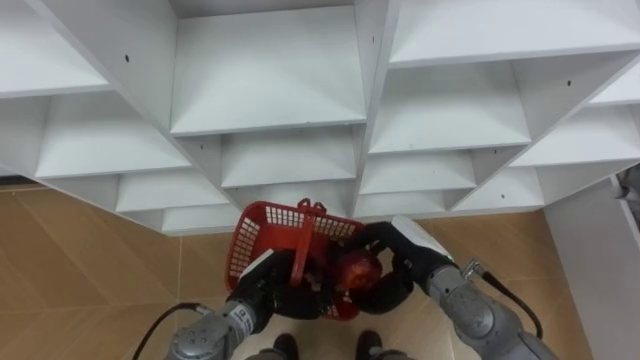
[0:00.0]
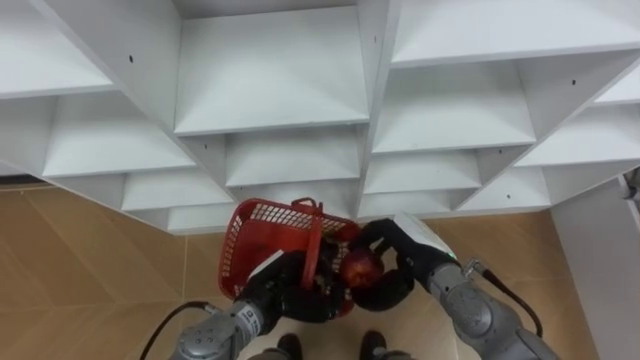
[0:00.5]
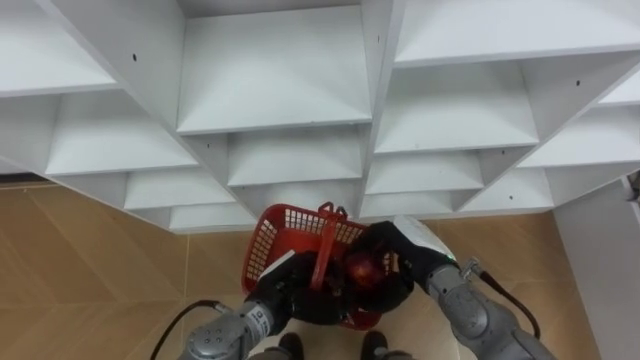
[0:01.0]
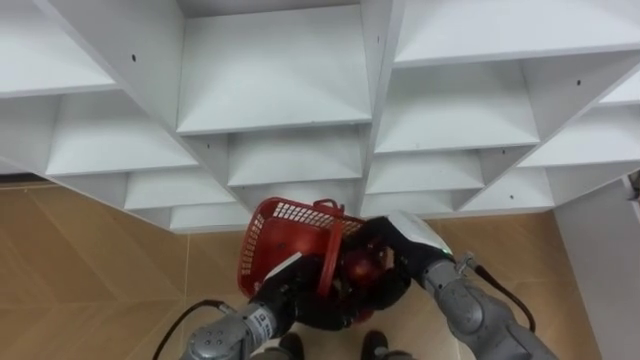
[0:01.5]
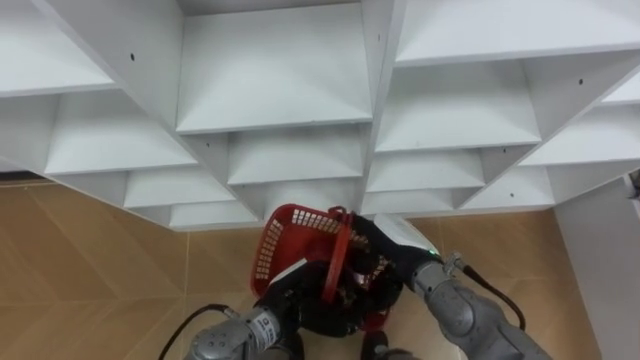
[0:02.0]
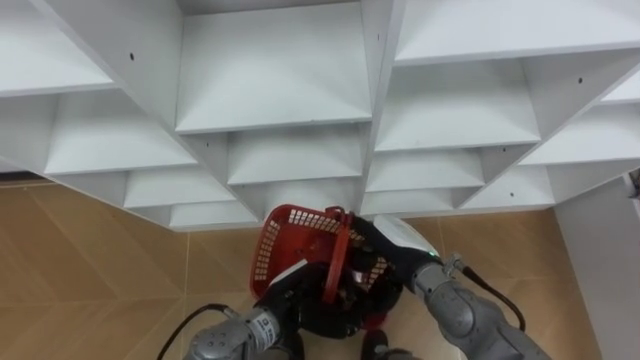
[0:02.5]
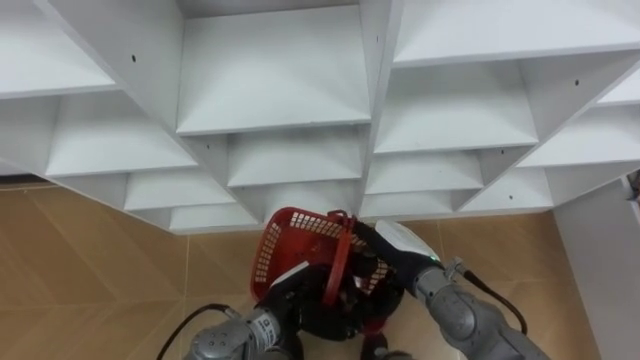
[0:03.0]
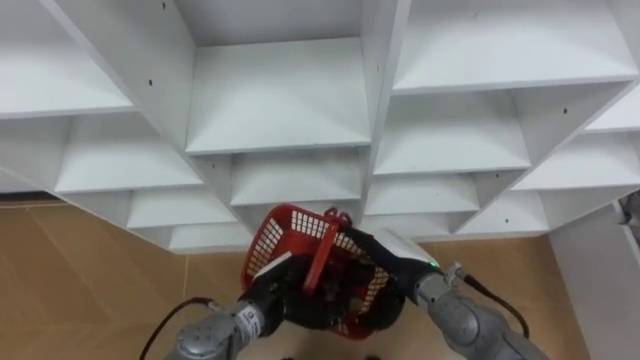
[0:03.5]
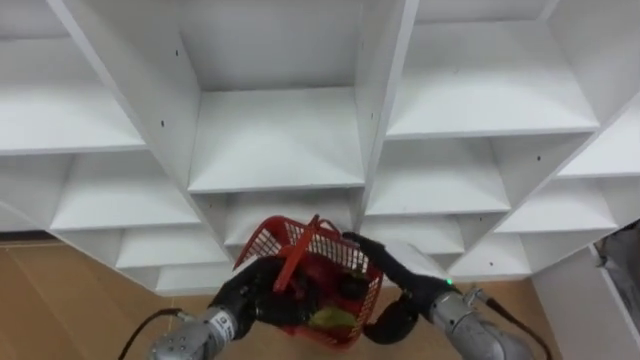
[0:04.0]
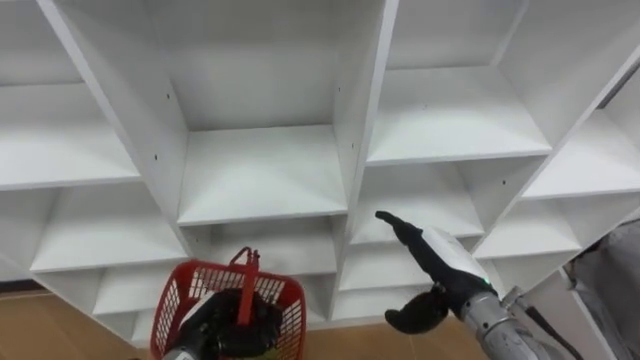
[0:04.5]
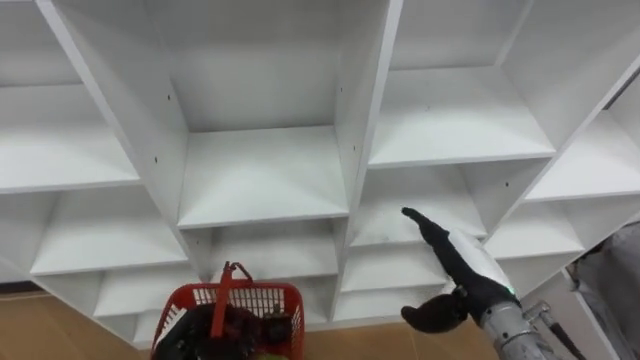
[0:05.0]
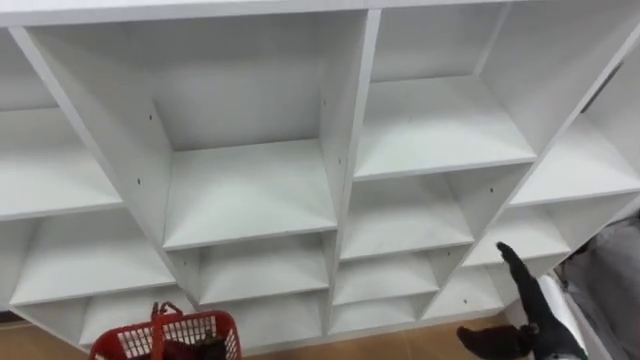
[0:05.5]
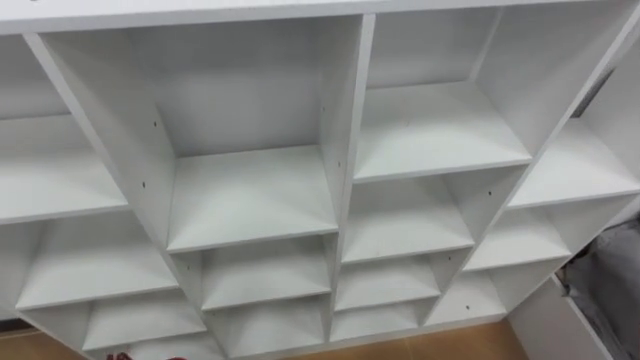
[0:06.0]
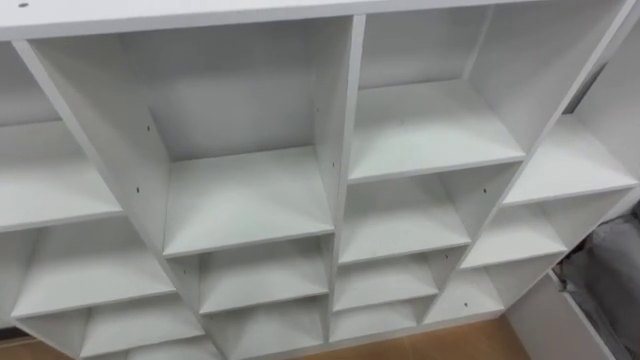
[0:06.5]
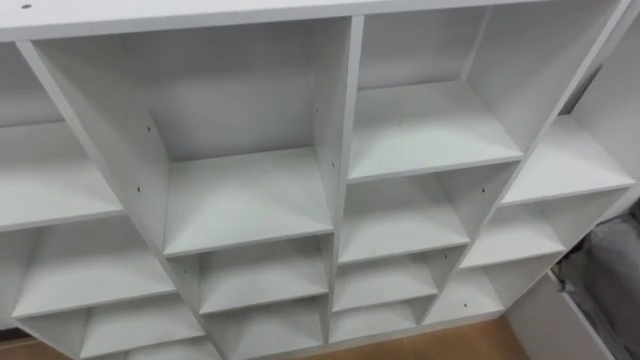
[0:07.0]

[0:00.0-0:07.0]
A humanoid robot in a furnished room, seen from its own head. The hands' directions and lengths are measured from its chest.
Task of the whole recording: Hold the basket and collect the fruits from 3 different cells of the closet into it.
0:00.0 to 0:02.0: The right hand opens its fingers. The left hand changes place by approximately 5 cm.
0:03.5 to 0:05.0: The right hand is displaced to the right by roughly 10 cm, while the left hand moves to the left and backward, roughly 15 cm.

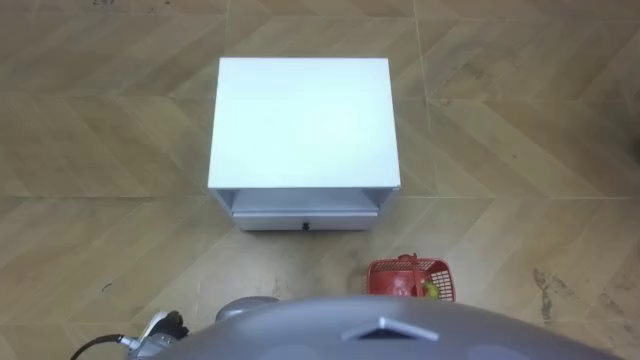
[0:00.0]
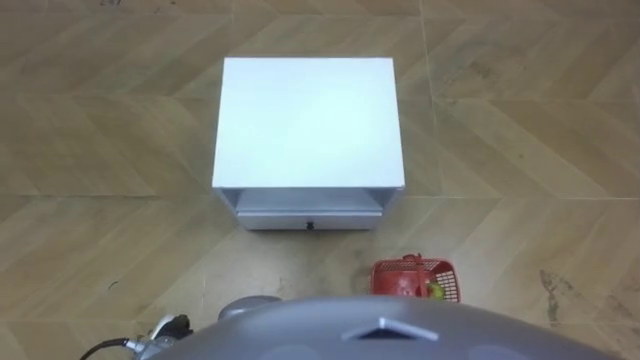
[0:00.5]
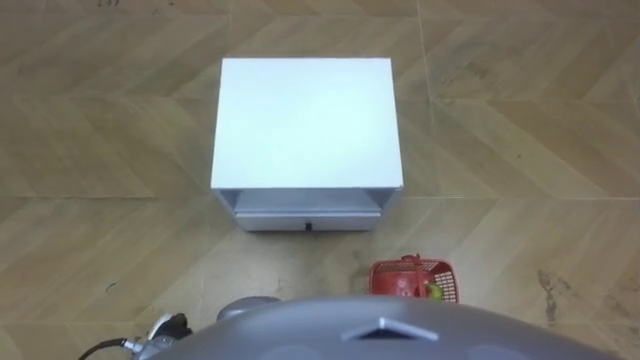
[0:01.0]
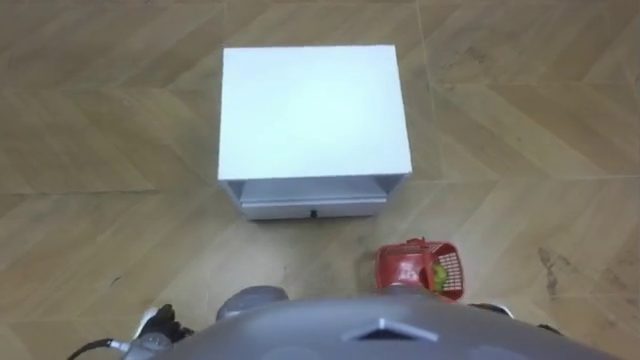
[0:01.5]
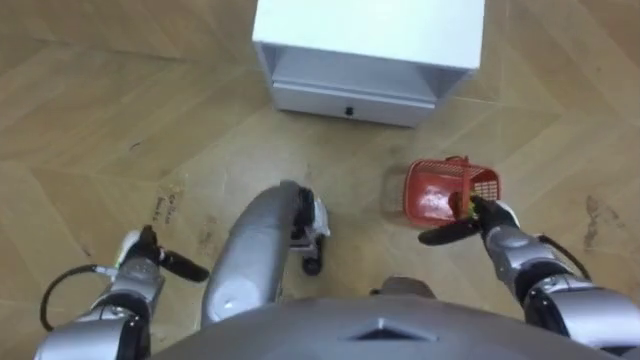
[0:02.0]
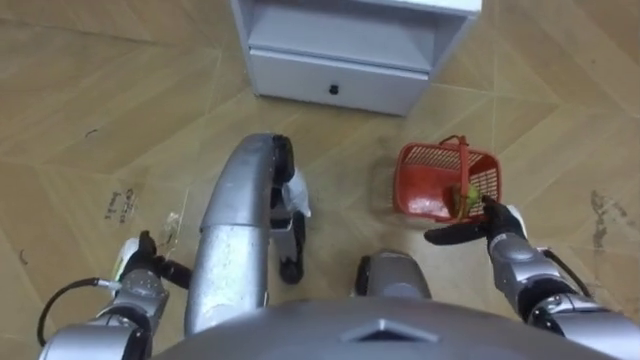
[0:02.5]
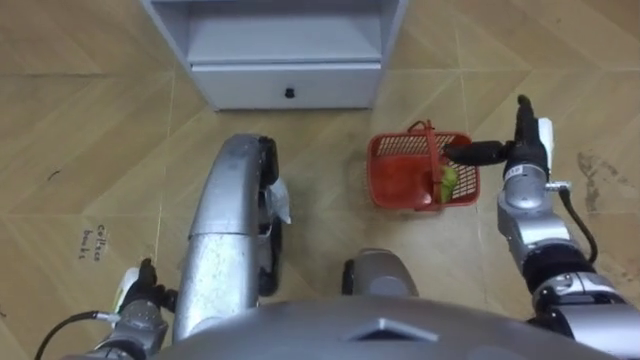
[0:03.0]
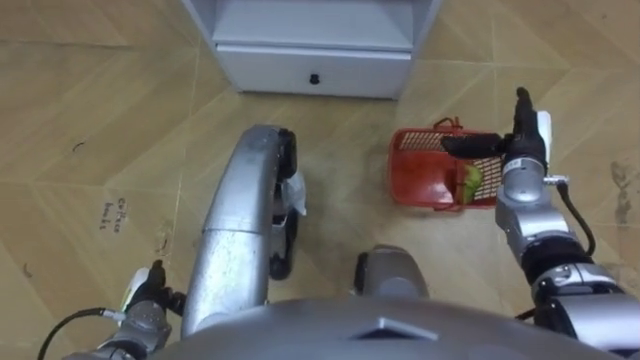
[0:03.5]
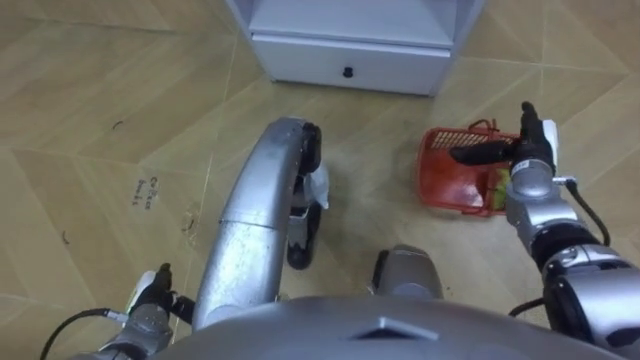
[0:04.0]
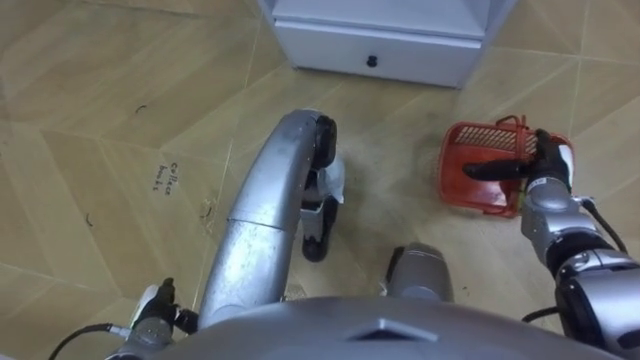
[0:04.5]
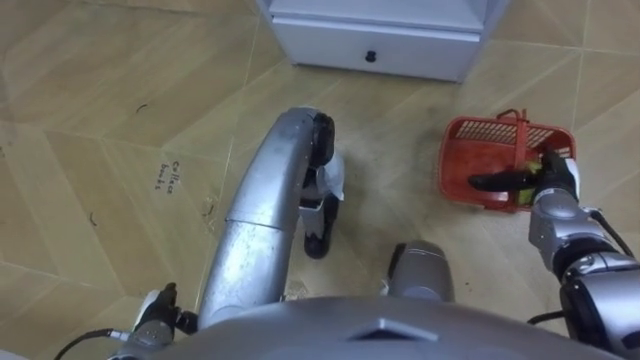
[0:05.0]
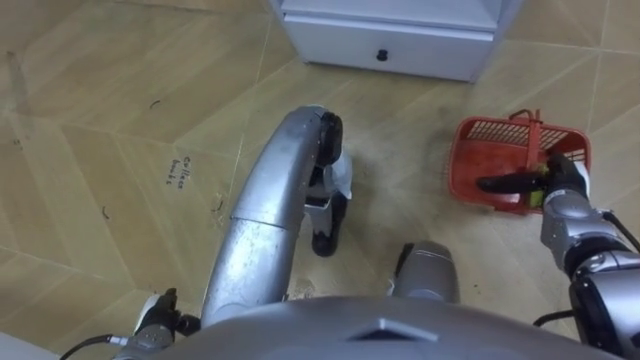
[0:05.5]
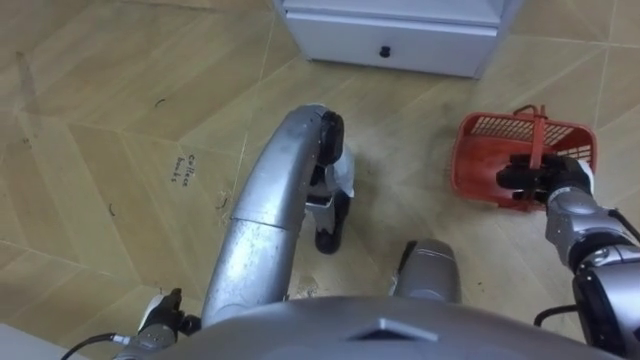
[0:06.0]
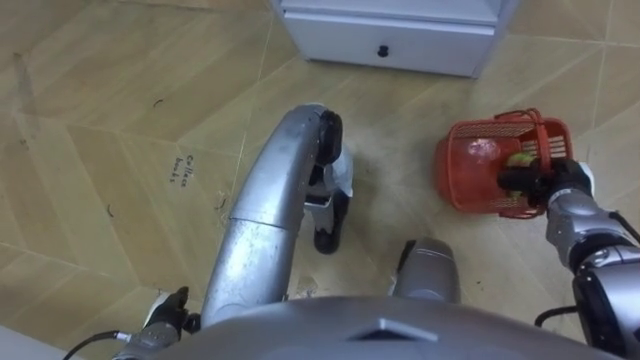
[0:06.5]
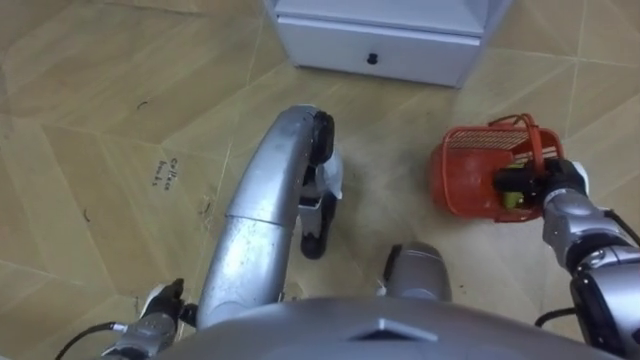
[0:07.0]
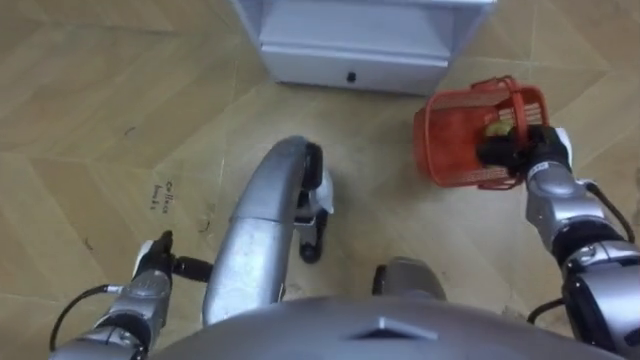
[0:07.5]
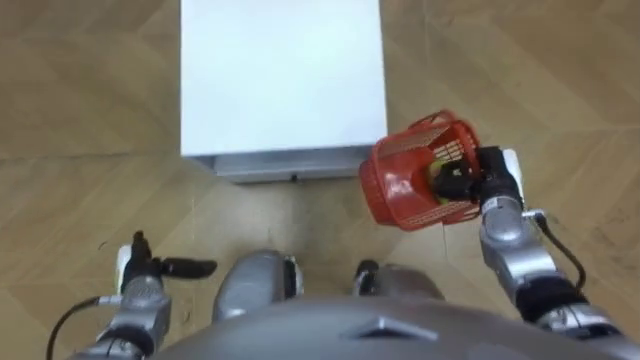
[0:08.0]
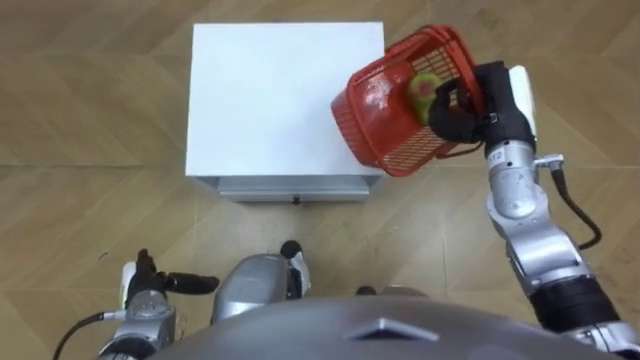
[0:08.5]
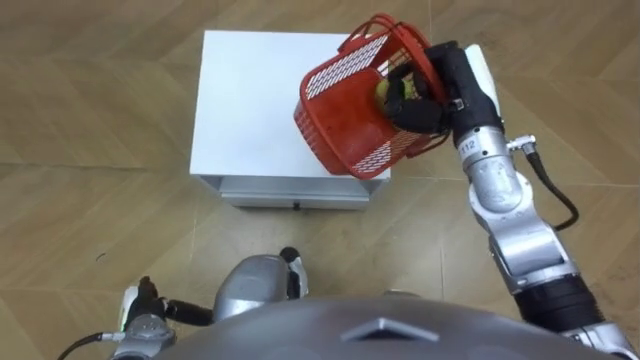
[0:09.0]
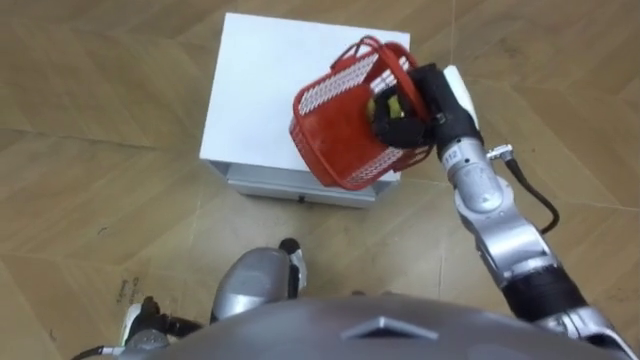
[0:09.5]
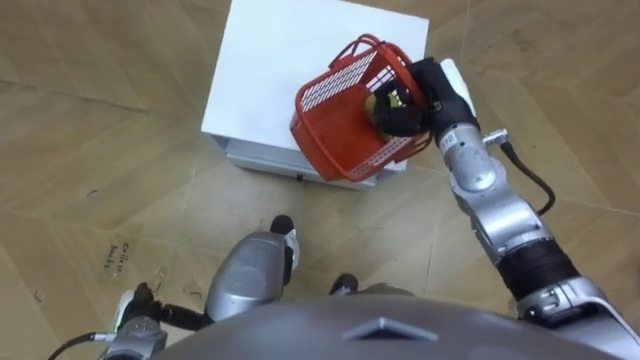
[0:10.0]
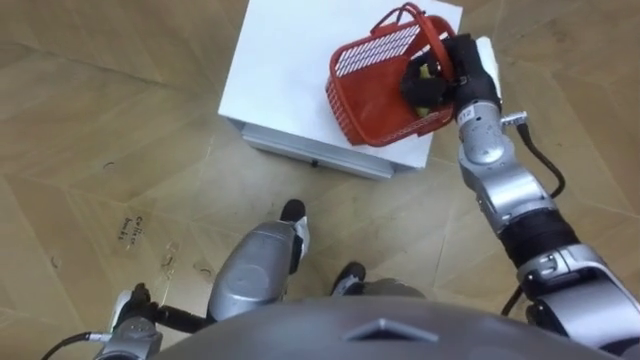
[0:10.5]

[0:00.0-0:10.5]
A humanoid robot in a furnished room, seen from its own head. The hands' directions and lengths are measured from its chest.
Task of the whole recording: Pick up the fruit basket from the floor and place it on the cabinet.
0:02.0 to 0:04.0: The right hand travels forward and upward by approximately 15 cm, while the left hand travels backward by some 5 cm.
0:04.0 to 0:06.5: The right hand travels to the right by about 5 cm, and closes.
0:06.5 to 0:08.5: The left hand shifts approximately 5 cm forward. The right hand shifts about 20 cm upward, to the left and forward.
0:08.5 to 0:10.5: The right hand heads forward, covering about 5 cm.

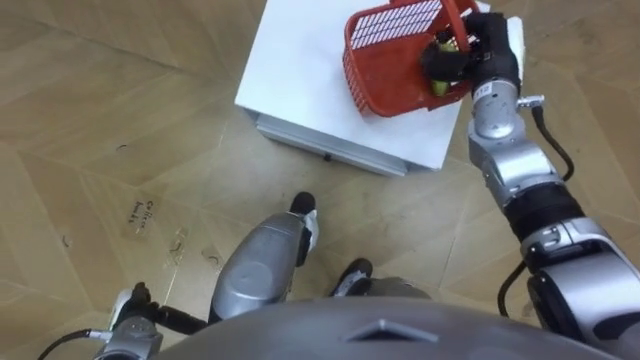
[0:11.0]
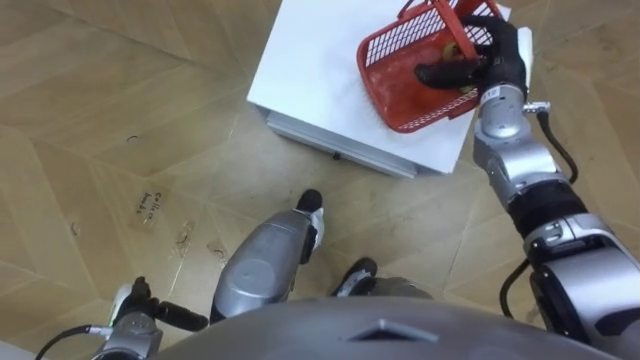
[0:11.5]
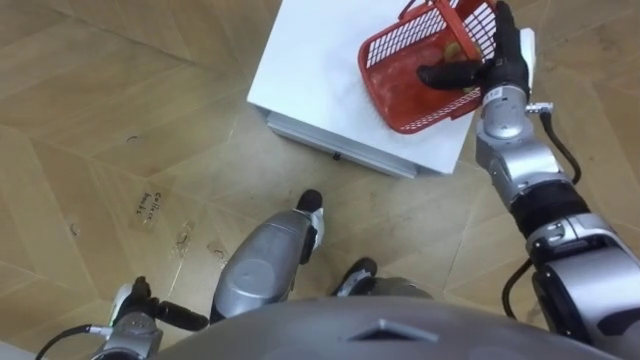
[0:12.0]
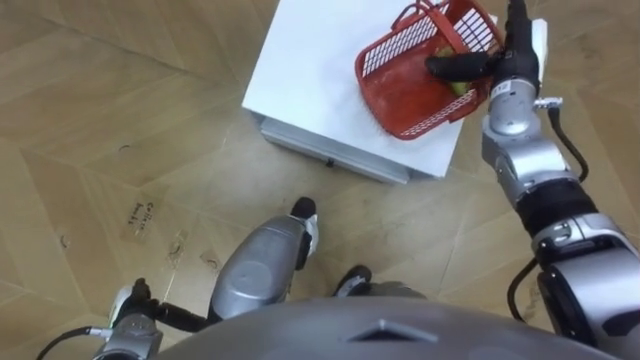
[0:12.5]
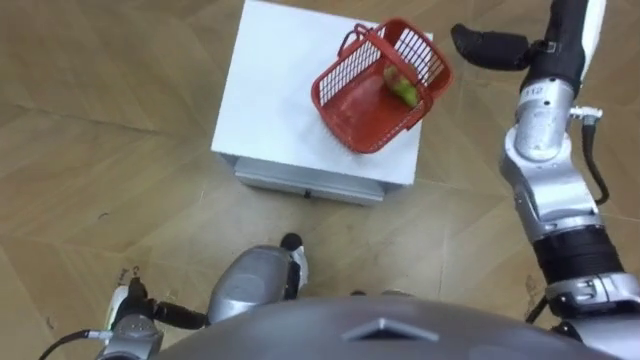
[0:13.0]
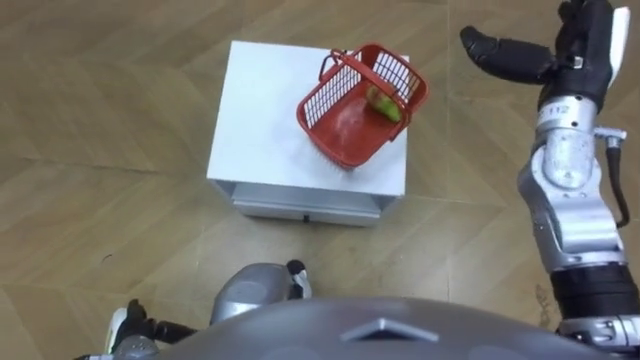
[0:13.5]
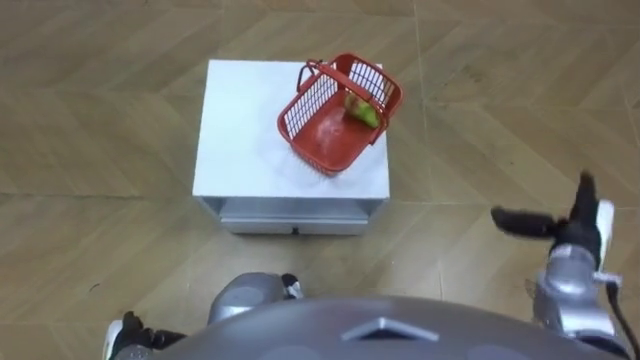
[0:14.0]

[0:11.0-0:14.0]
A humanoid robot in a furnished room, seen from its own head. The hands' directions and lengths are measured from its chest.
Task of the whole recording: Pick up the fruit basket from the floor and place it on the cabinet.
0:11.0 to 0:12.5: The right hand opens its fingers.
0:12.5 to 0:14.0: The right hand heads backward, to the right and downward, covering some 25 cm.
